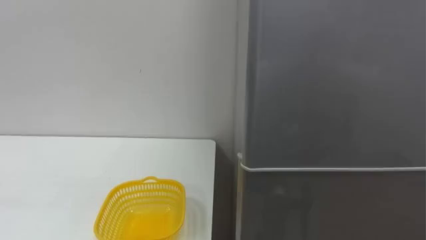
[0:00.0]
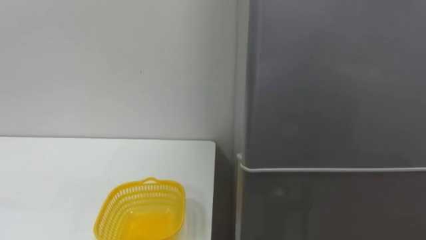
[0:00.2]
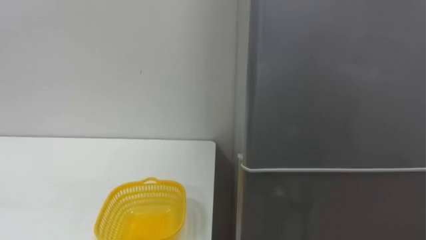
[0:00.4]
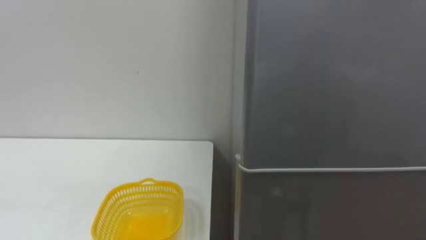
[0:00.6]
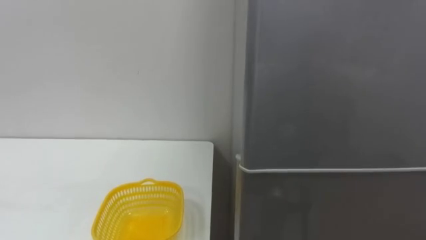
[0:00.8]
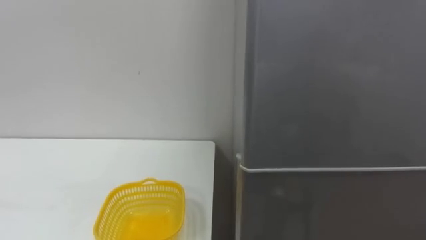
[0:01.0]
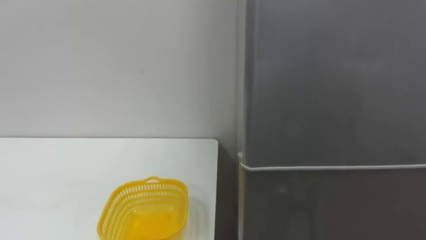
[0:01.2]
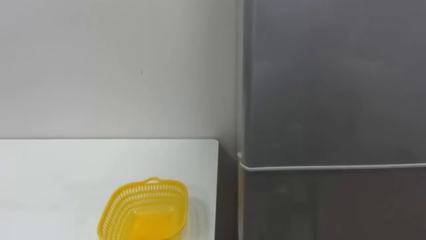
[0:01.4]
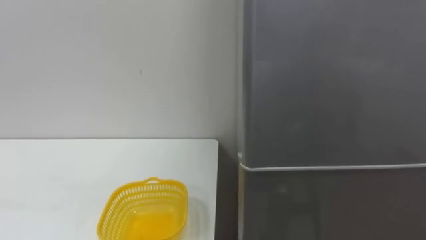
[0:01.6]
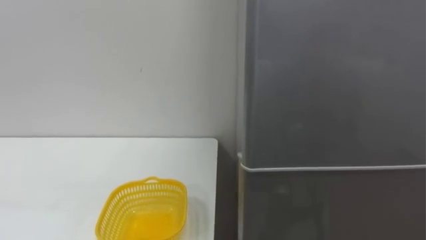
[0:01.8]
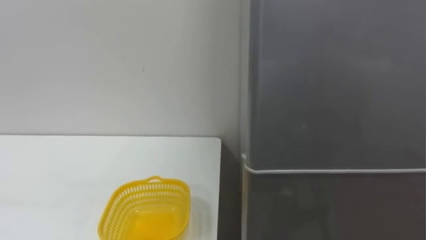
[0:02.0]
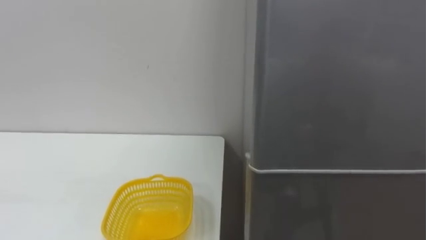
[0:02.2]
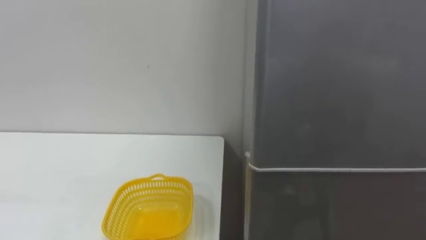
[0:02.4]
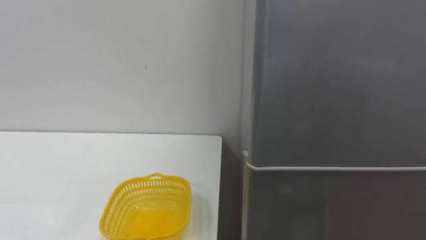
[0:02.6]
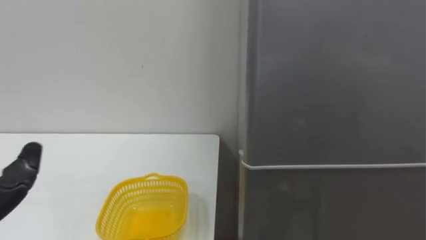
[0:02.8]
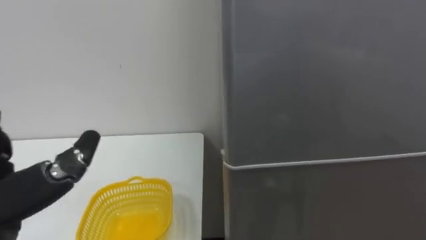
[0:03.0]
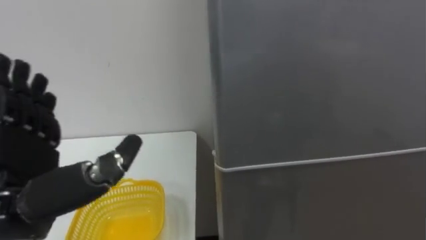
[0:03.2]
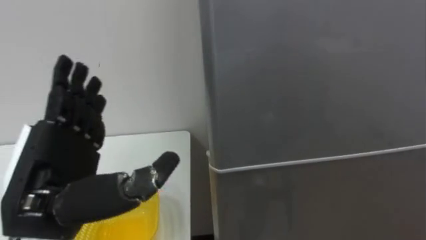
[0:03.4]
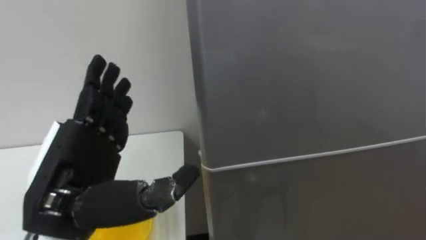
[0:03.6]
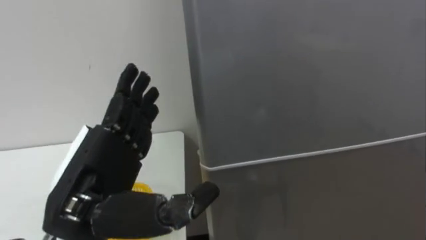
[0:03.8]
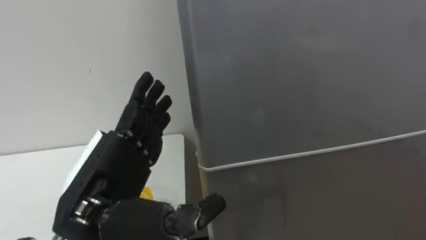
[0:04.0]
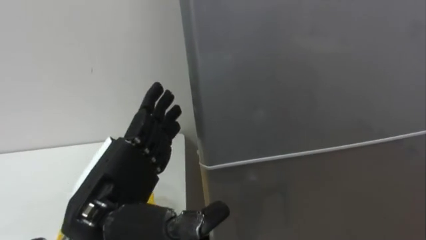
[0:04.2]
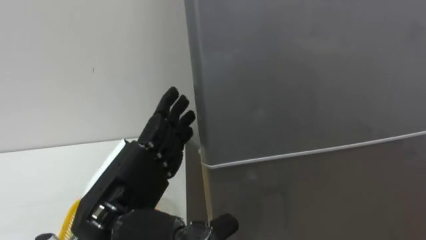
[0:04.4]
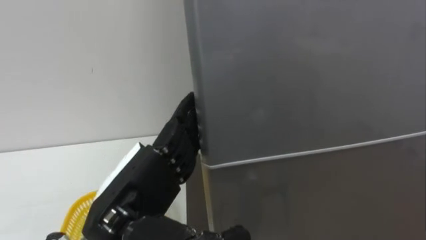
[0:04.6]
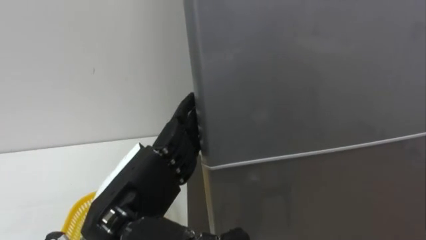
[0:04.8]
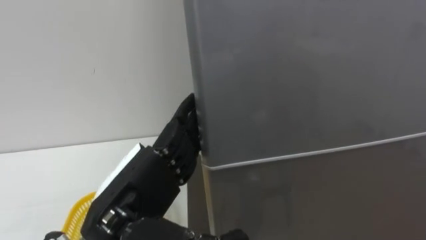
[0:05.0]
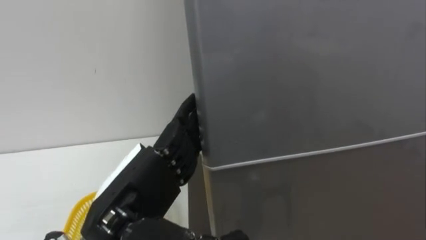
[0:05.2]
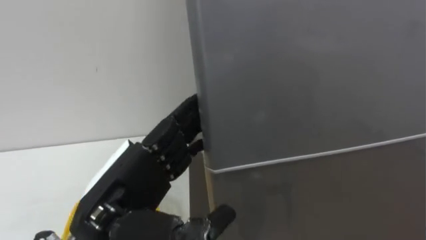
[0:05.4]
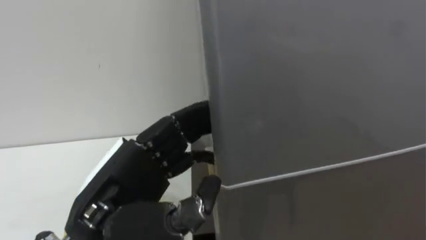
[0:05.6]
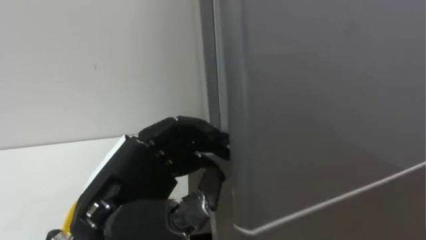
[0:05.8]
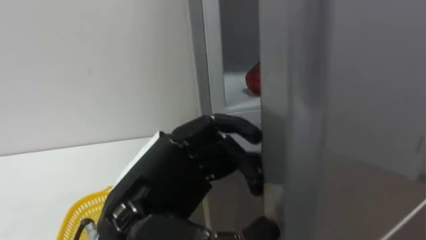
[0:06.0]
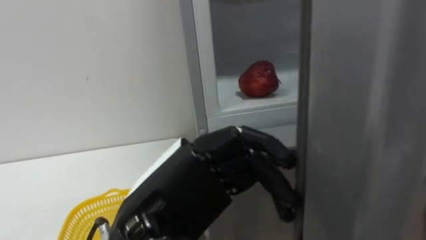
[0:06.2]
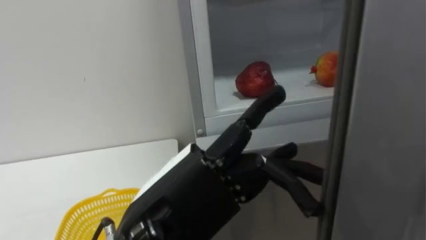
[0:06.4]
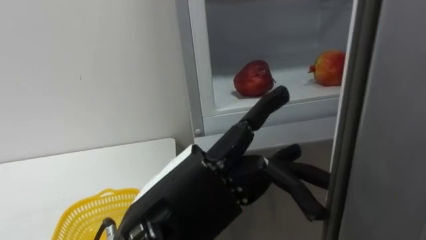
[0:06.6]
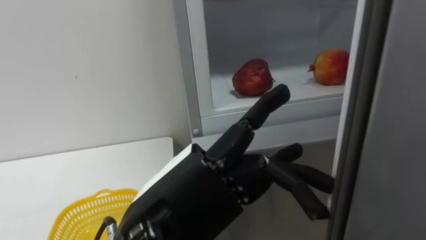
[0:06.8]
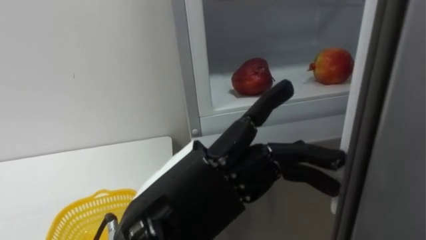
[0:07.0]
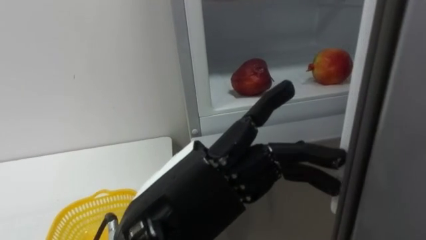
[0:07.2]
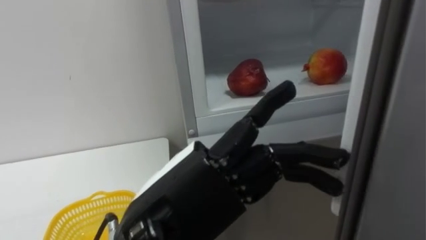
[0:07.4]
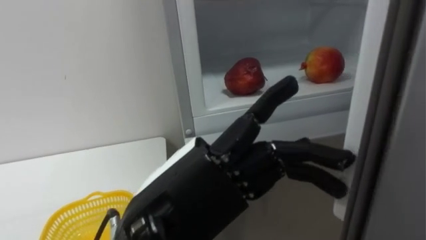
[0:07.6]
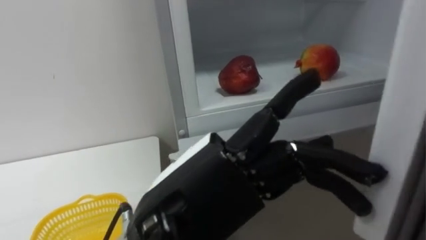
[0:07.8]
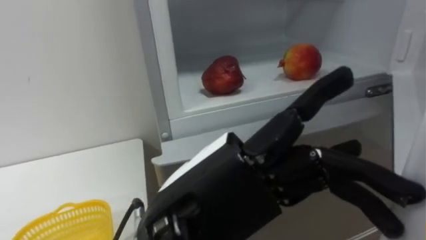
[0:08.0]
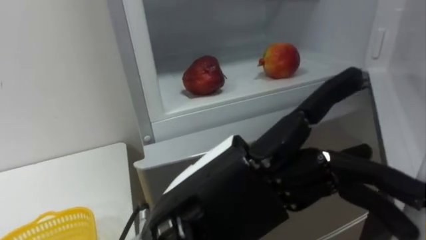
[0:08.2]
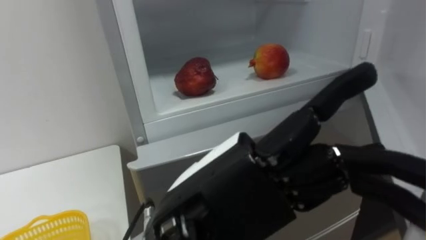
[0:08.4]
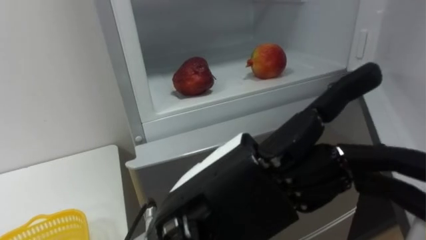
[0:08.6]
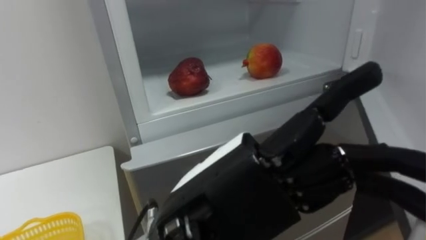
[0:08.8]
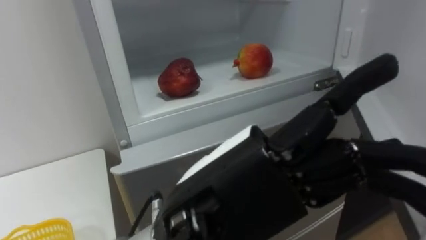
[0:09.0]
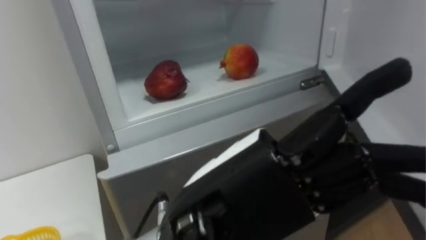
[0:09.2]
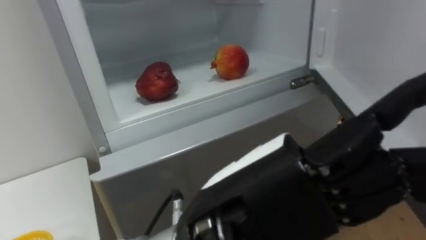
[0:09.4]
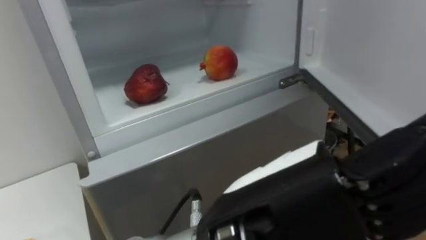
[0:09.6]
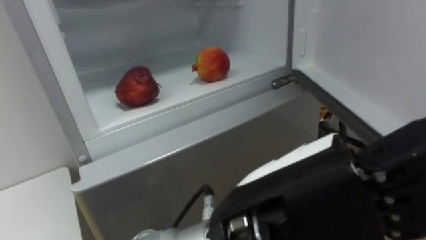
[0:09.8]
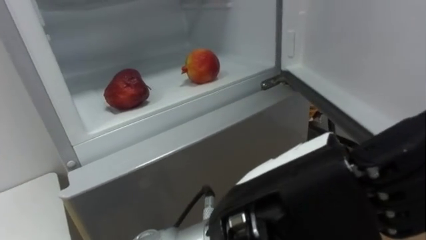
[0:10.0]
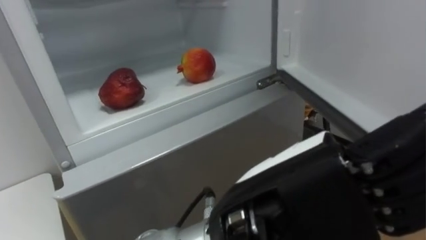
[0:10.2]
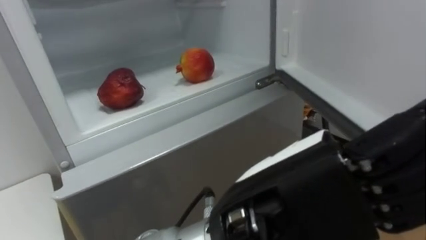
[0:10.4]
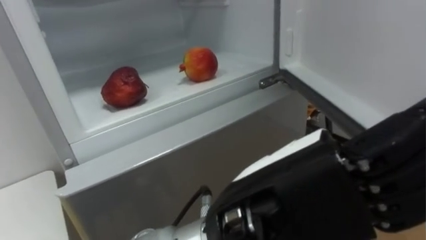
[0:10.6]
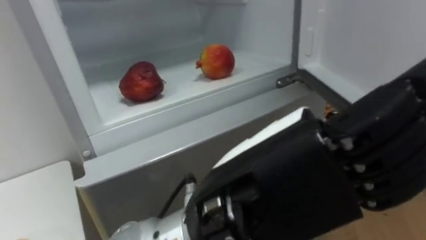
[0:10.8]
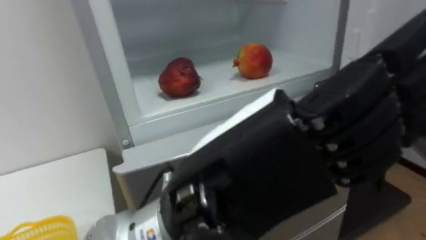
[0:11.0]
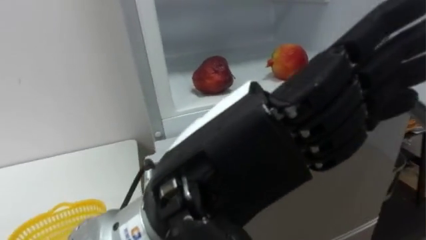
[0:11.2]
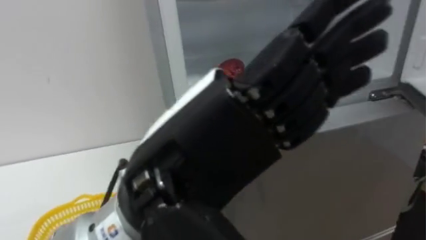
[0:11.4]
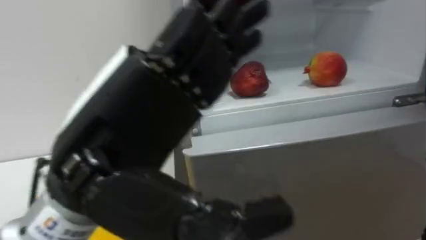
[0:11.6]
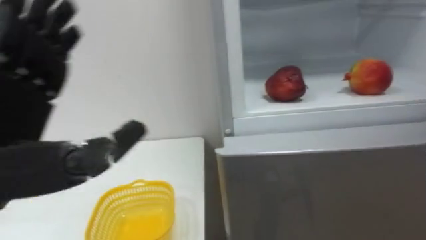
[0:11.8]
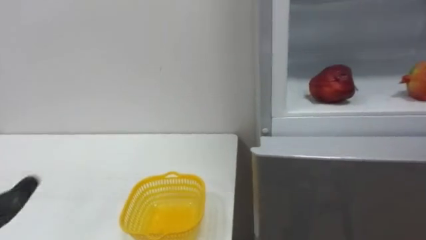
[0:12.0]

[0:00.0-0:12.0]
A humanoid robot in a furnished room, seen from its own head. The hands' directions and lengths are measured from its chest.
Task of the whole recording: Open the refrigerator door, take out the apple and the pomegranate, place them in the fruit basket on the left, and close the refrigerator door.
0:04.4 to 0:06.0: The left hand shifts by roughly 5 cm.
0:07.6 to 0:09.0: The left hand moves some 5 cm.

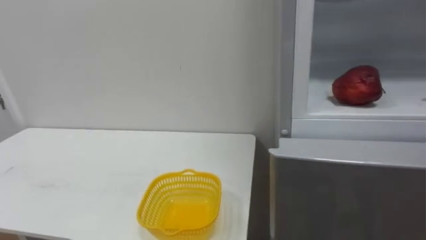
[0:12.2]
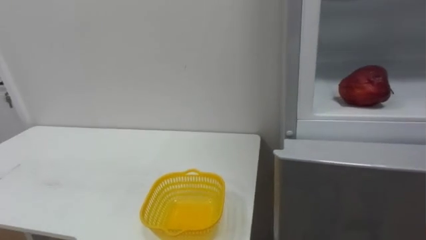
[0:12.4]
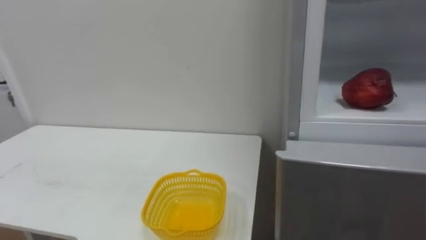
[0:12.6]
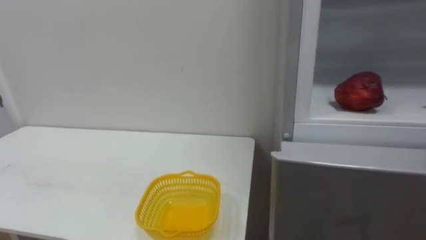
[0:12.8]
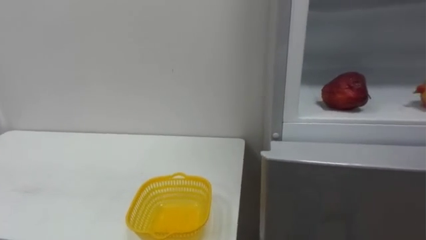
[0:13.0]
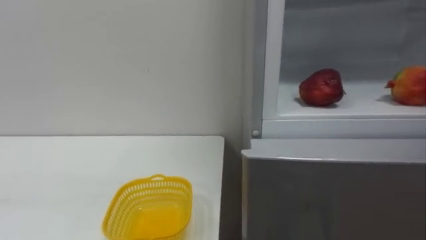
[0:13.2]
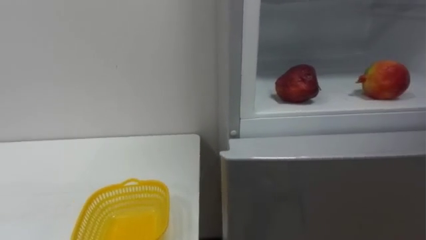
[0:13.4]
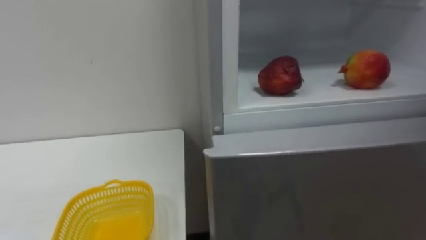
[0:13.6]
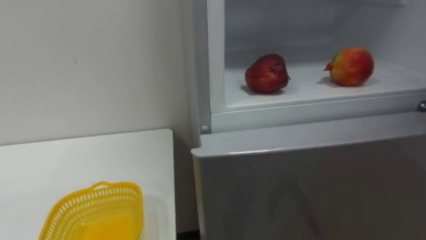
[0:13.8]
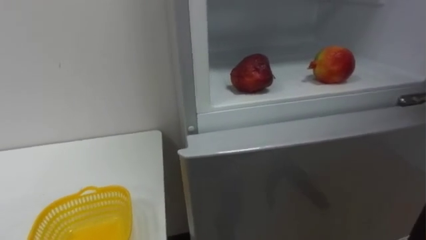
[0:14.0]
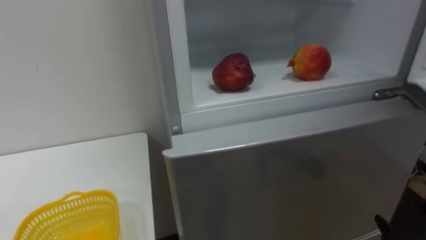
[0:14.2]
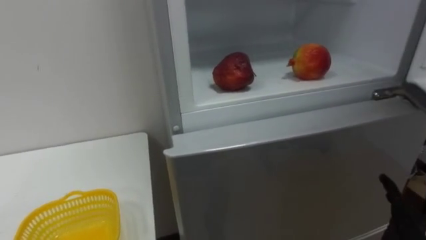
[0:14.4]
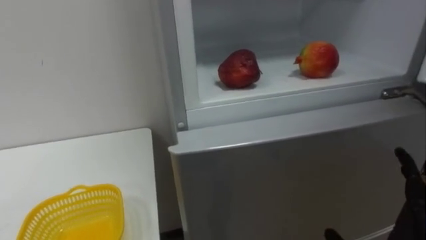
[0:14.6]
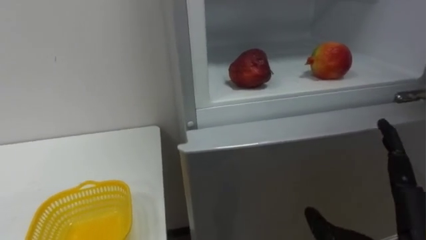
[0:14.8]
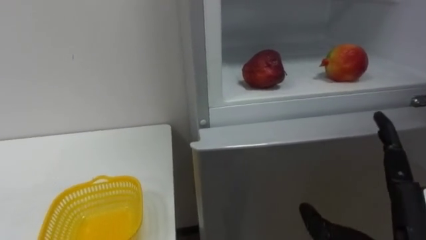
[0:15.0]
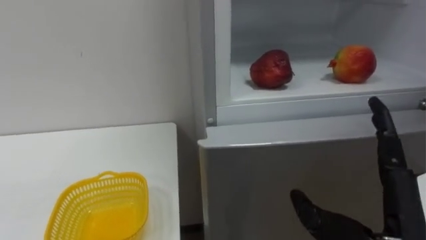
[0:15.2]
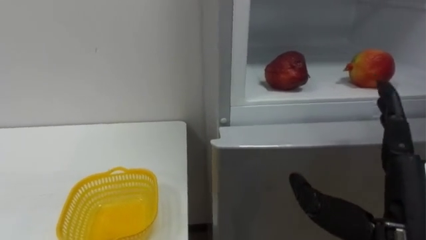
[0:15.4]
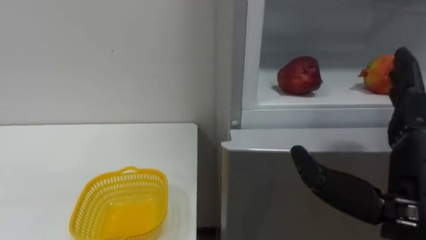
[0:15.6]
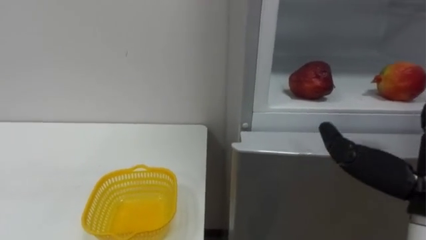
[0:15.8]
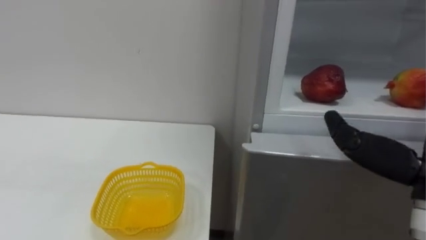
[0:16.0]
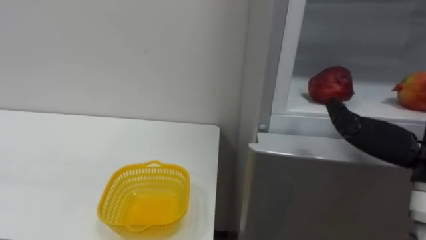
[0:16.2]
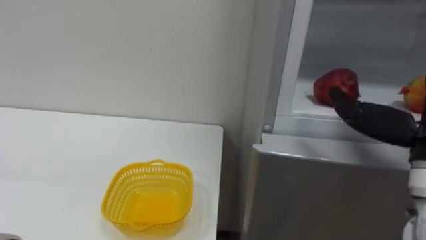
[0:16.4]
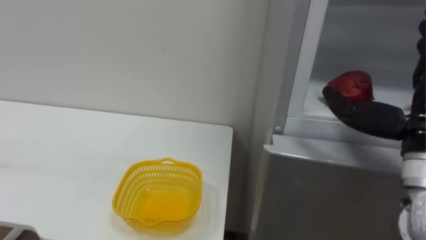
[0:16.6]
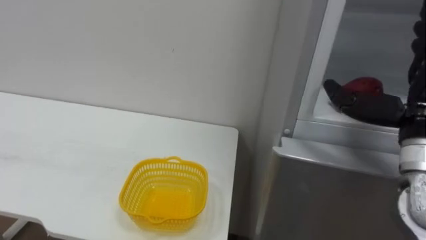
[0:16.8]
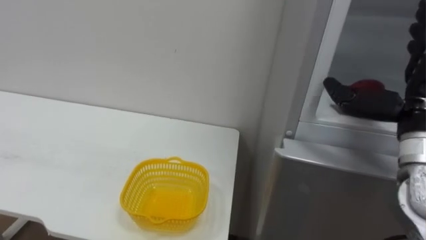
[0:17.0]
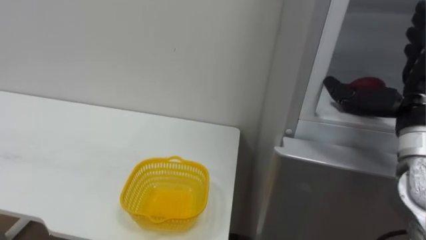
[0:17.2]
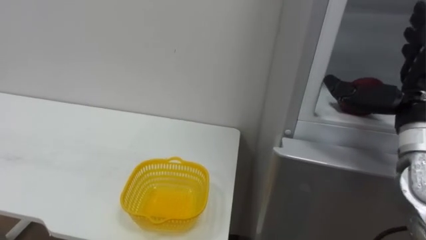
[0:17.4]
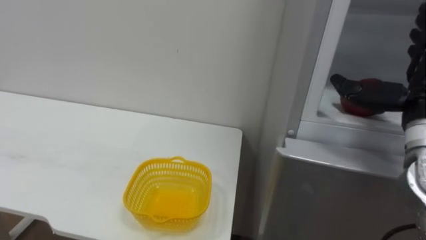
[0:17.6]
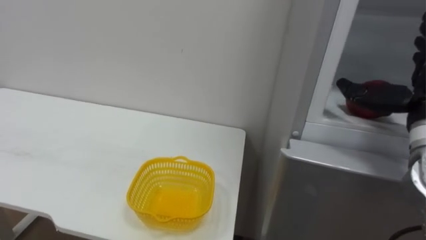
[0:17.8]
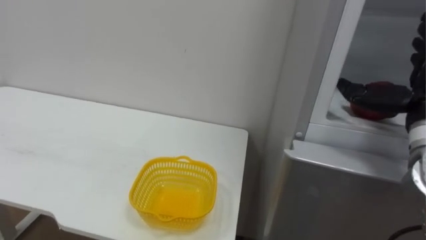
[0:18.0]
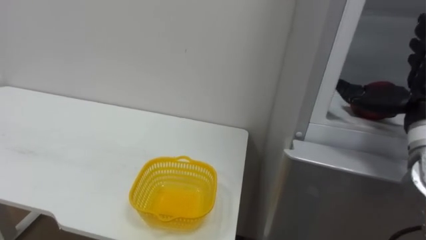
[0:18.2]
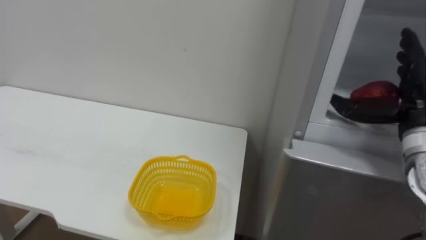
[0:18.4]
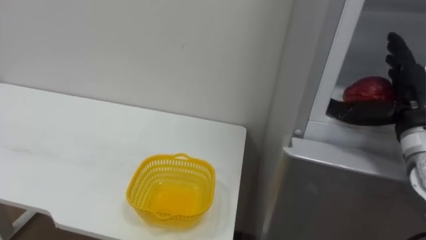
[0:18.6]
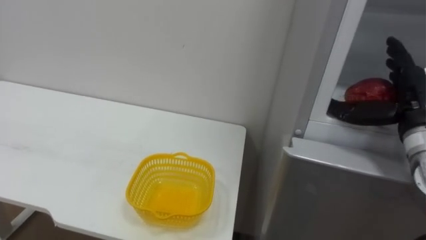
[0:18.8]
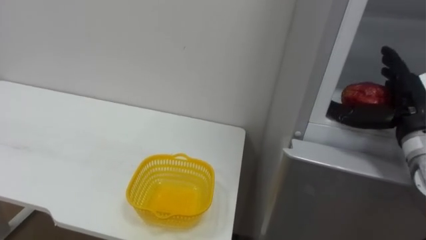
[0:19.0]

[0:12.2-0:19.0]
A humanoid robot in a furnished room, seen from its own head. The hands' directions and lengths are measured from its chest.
Task of the whole recording: Open the refrigerator door, take out the apple and the pomegranate, place them in the fruit basket on the left, and close the refrigerator door.
0:17.6 to 0:19.0: The right hand ends up approximately 5 cm from where it was.
